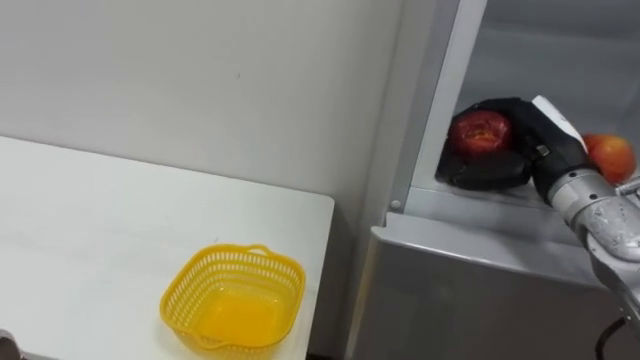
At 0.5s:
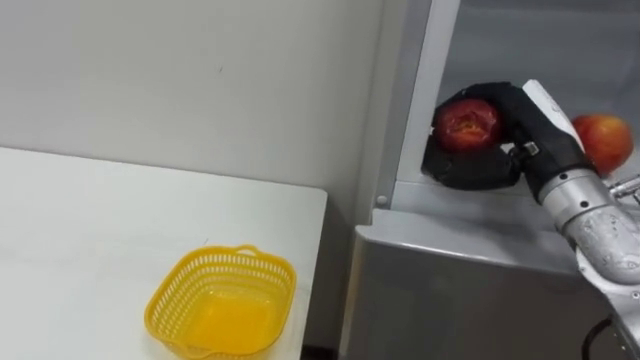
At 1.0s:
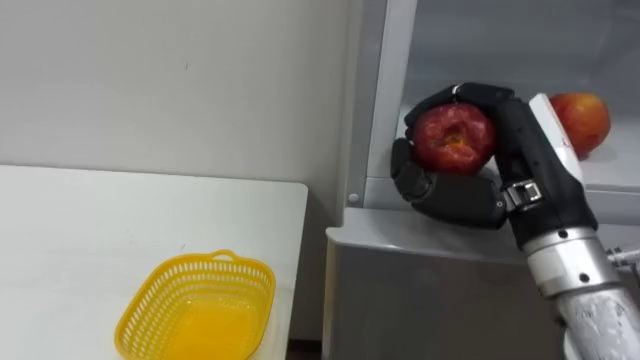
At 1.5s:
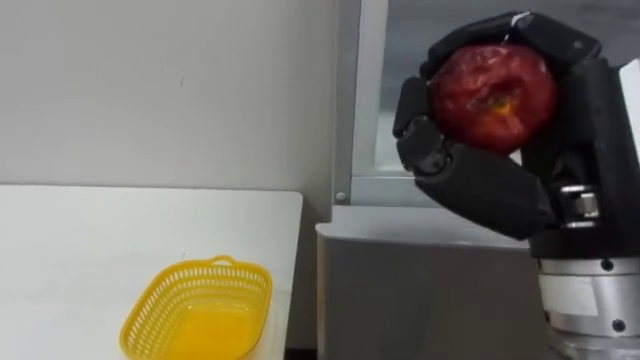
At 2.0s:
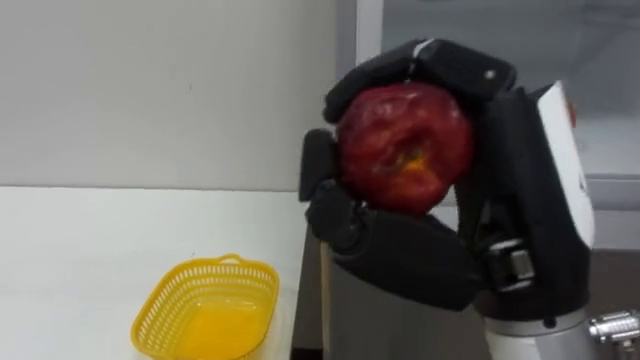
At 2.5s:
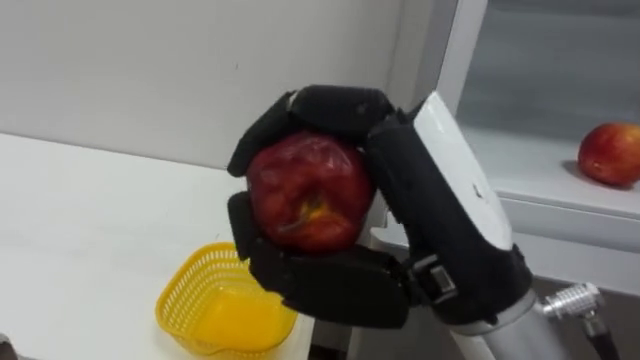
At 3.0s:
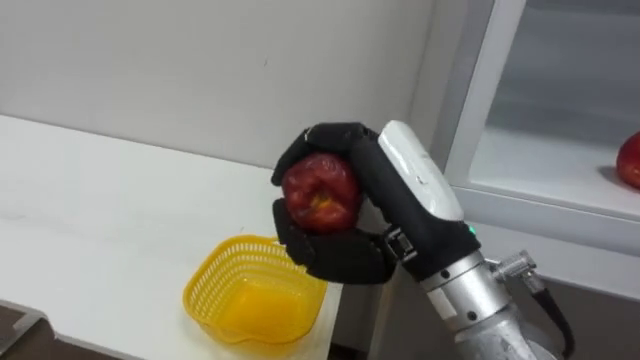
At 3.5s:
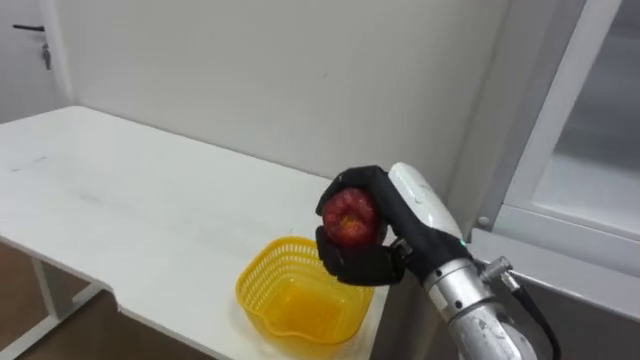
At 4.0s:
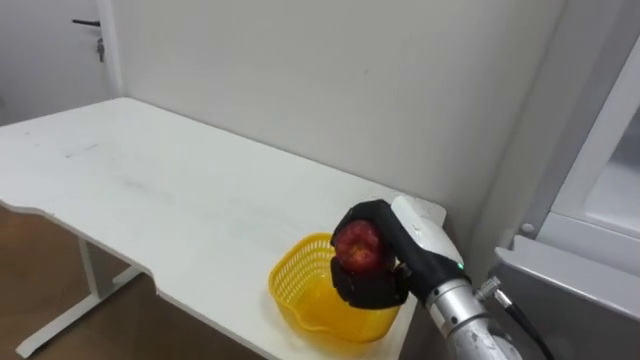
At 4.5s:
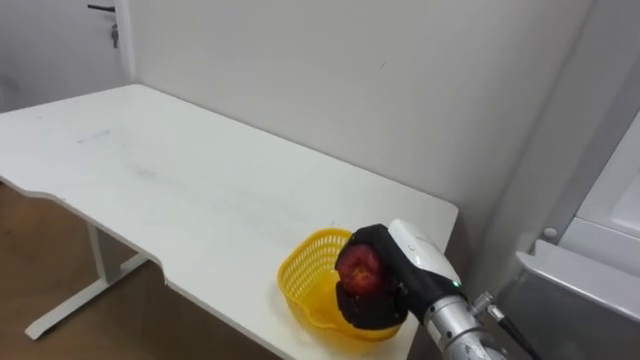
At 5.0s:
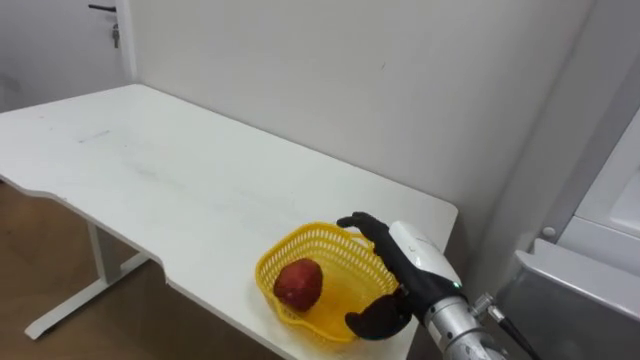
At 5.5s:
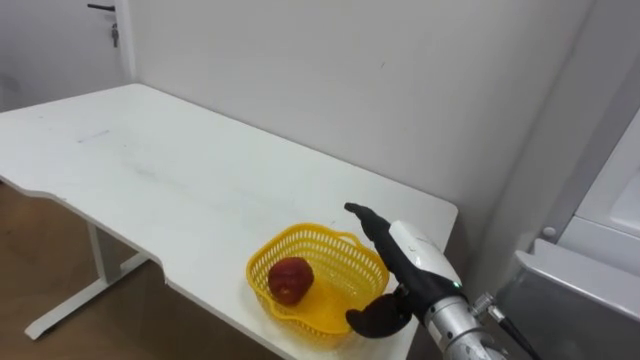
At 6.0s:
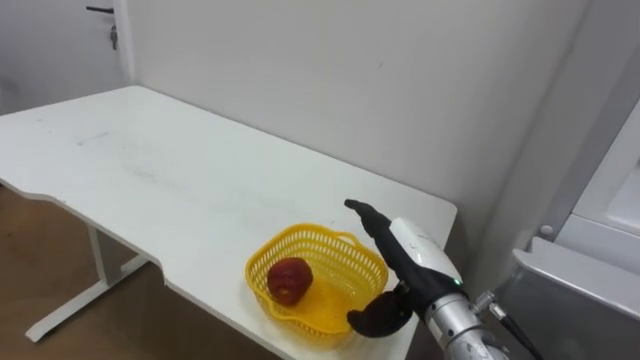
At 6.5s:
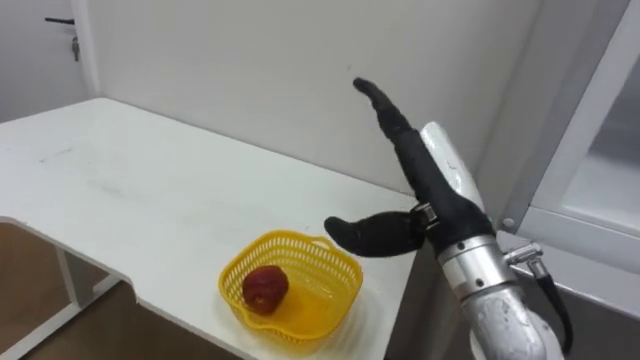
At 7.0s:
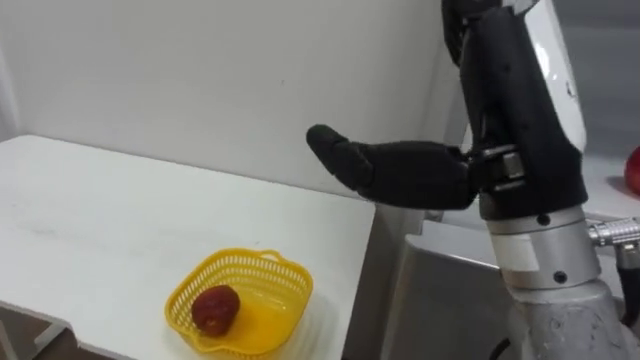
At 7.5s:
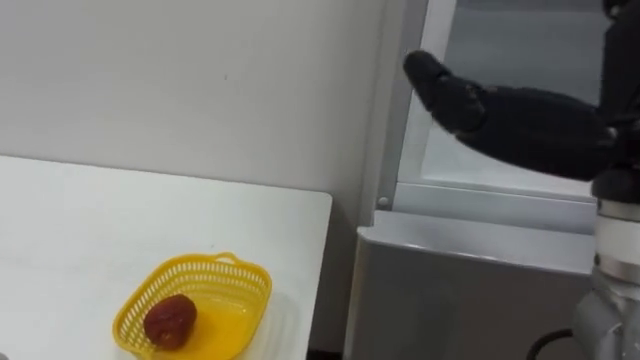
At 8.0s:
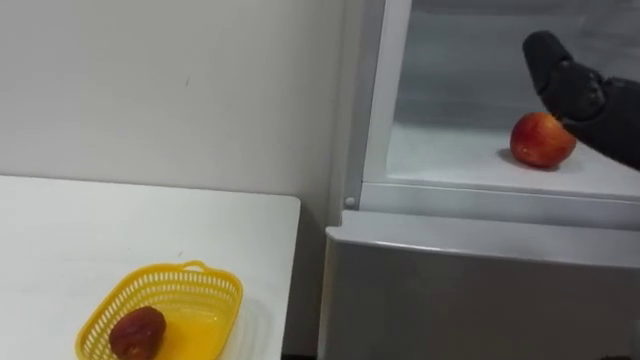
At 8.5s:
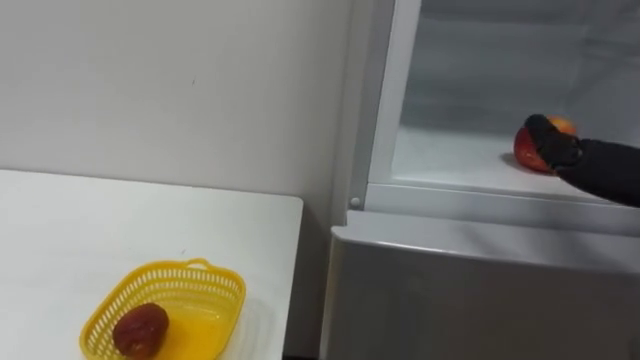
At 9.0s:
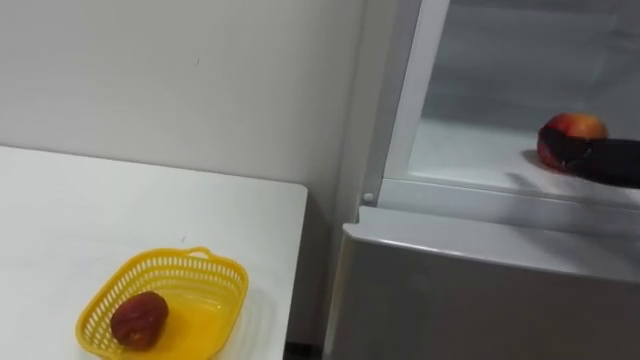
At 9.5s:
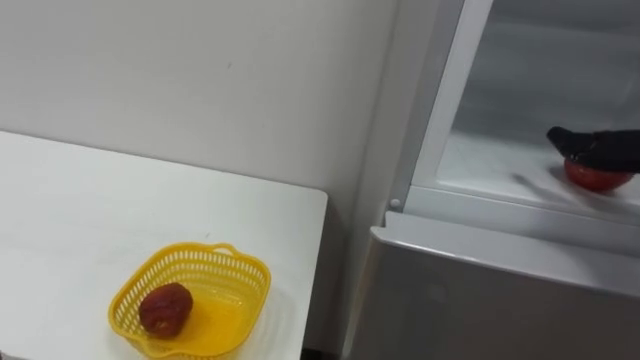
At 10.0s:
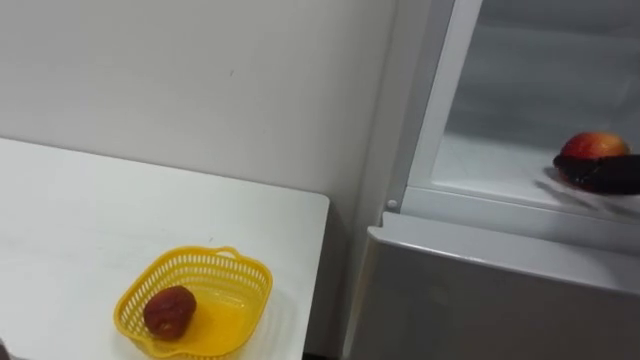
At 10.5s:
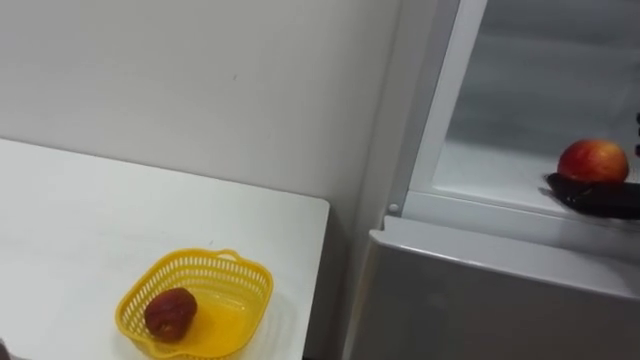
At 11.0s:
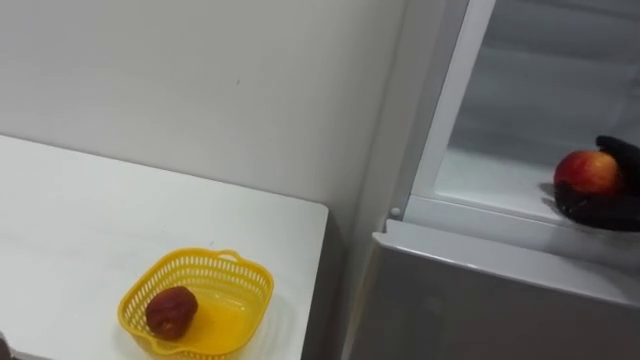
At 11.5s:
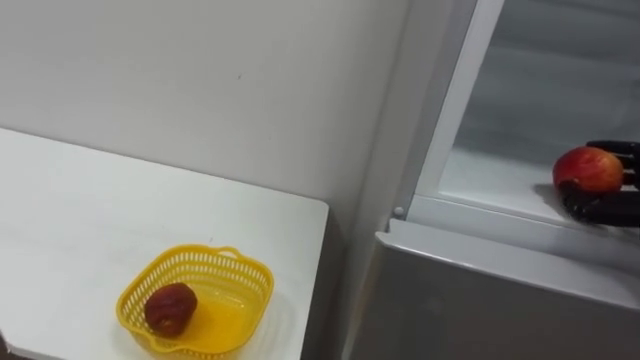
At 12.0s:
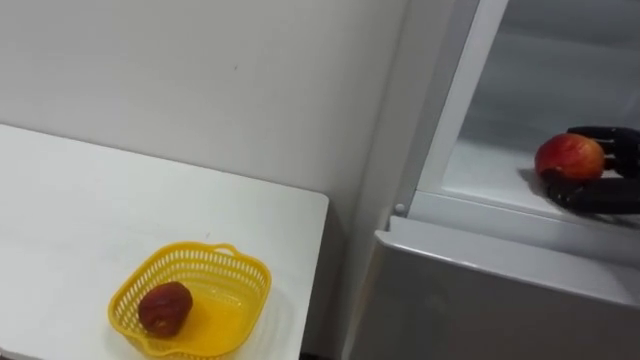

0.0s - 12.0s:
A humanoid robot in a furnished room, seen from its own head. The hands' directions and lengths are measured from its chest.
Task of the whole recording: Open the refrigerator door, take out the apple and the pomegranate, place them in the fruit basket on the left, and close the refrigerator door.
0.0s - 2.0s: The right hand travels backward, to the left and upward by roughly 25 cm.
2.0s - 4.0s: The right hand is displaced downward and forward by about 20 cm.
4.0s - 6.0s: The right hand opens its fingers.

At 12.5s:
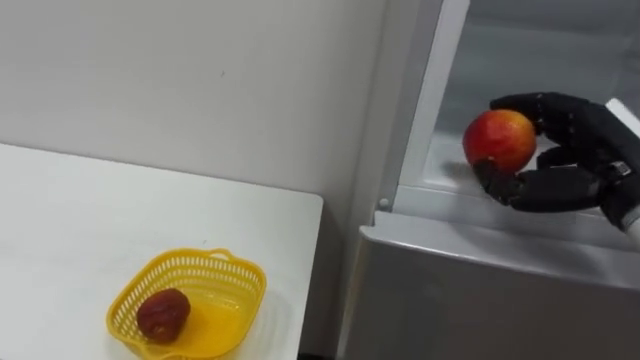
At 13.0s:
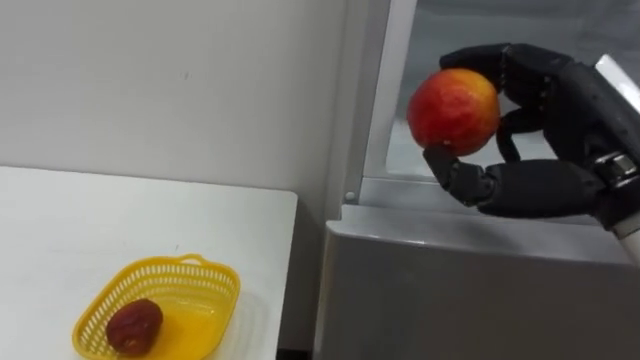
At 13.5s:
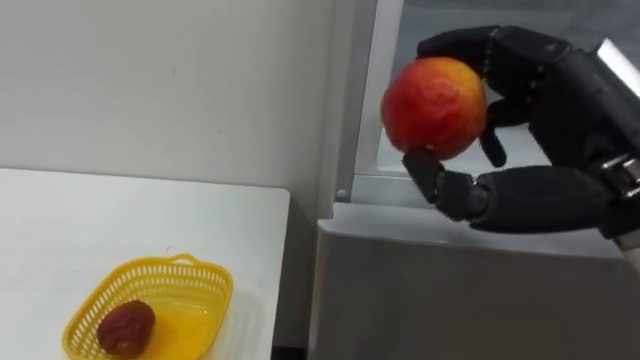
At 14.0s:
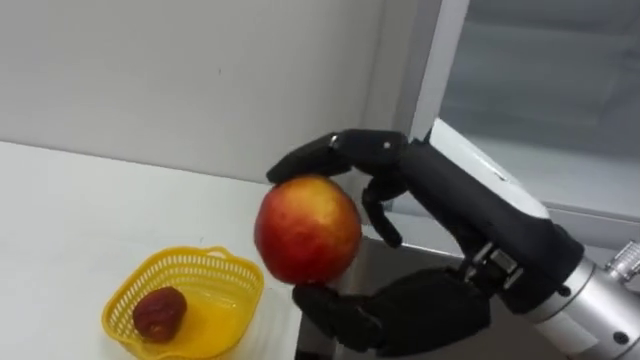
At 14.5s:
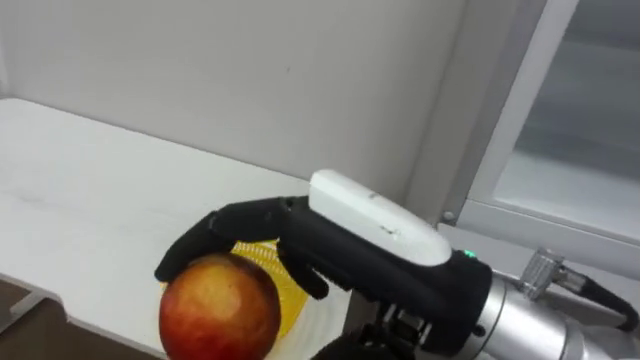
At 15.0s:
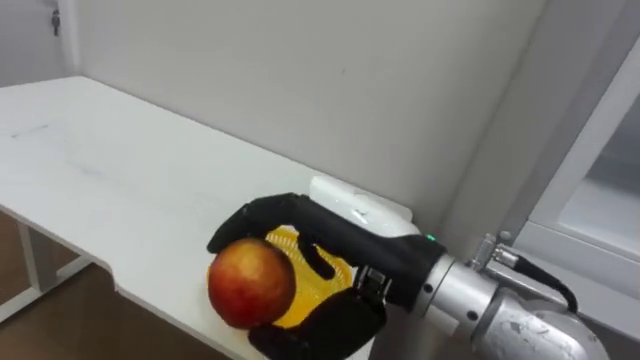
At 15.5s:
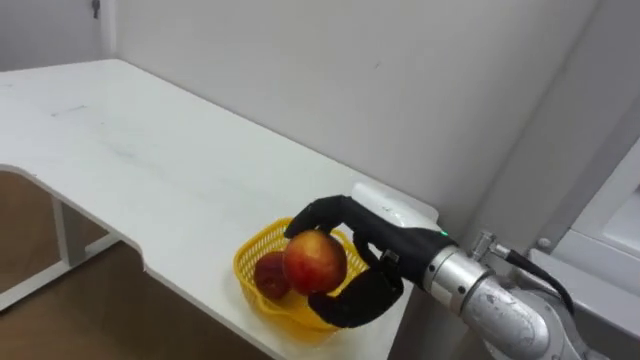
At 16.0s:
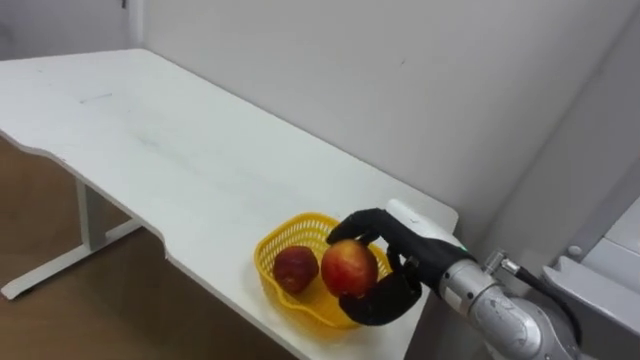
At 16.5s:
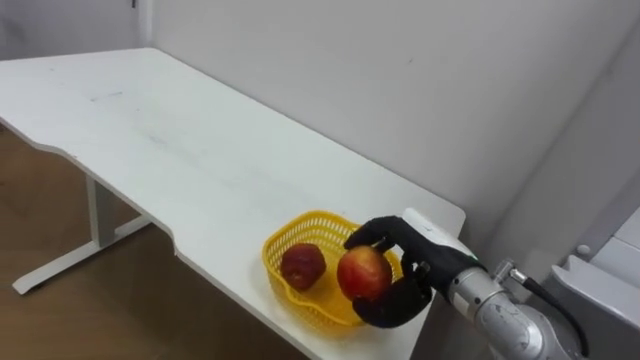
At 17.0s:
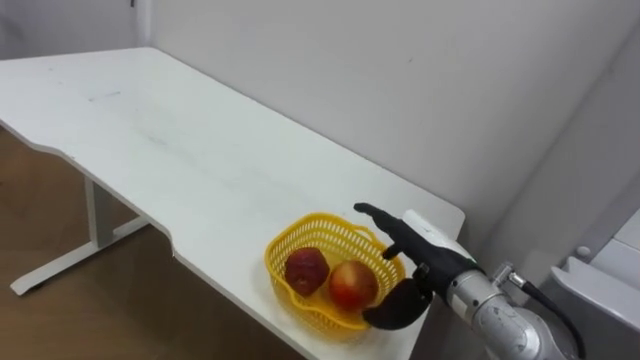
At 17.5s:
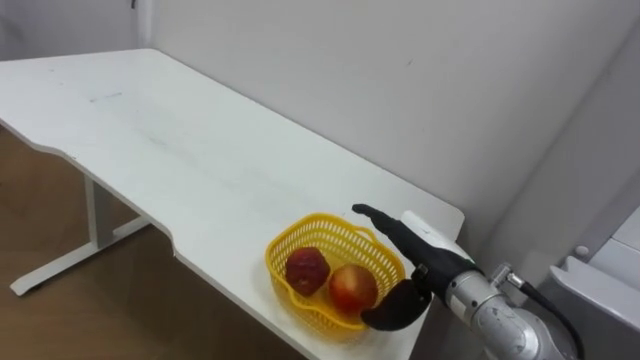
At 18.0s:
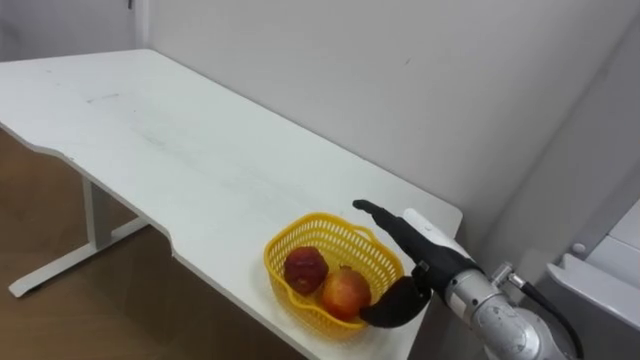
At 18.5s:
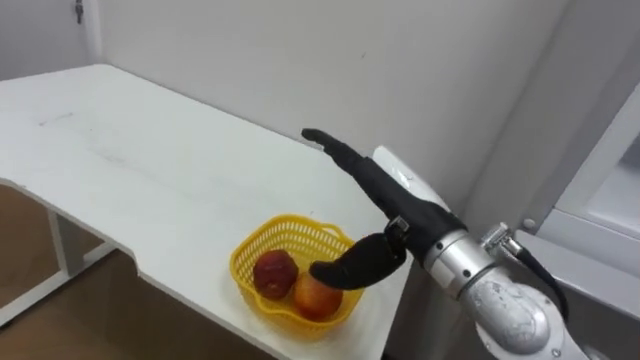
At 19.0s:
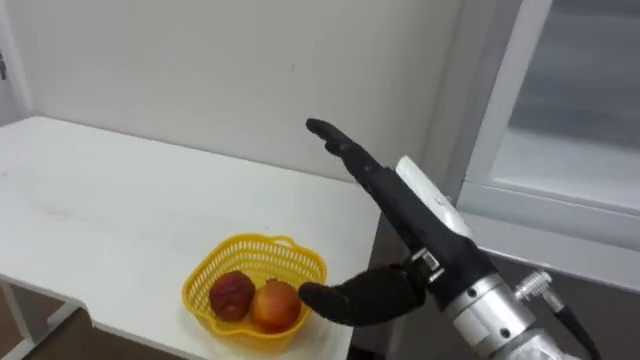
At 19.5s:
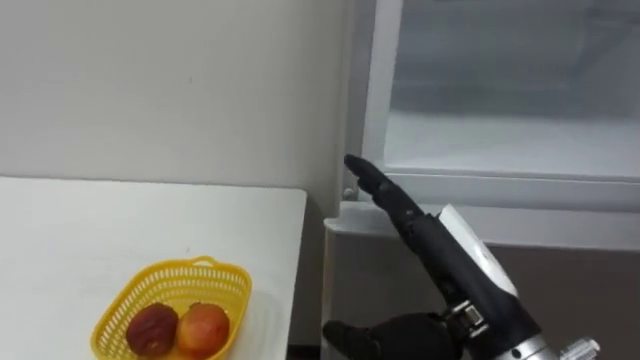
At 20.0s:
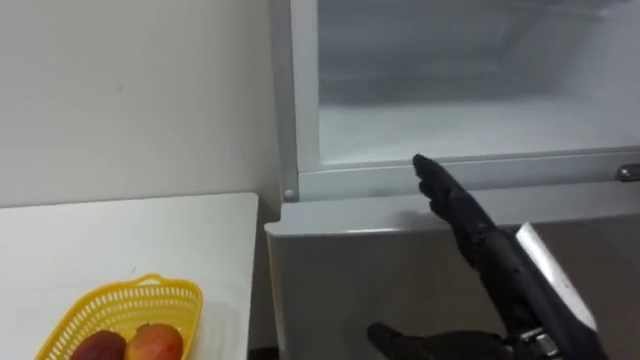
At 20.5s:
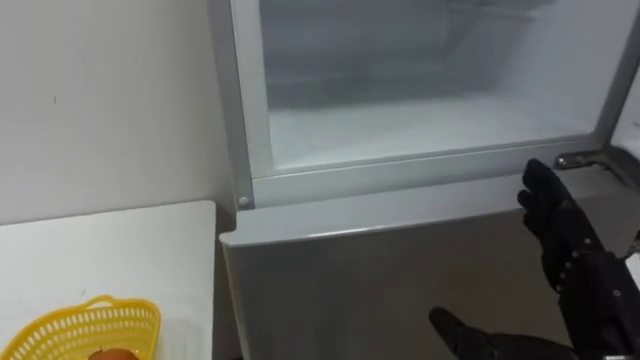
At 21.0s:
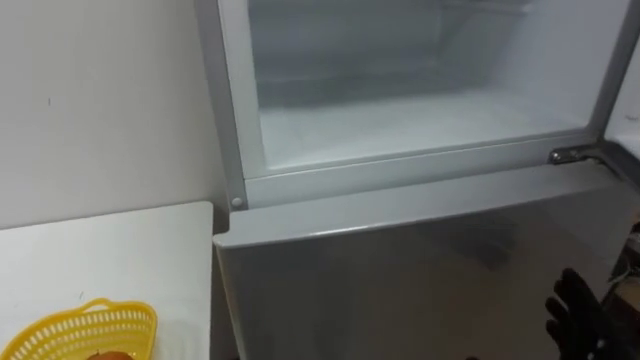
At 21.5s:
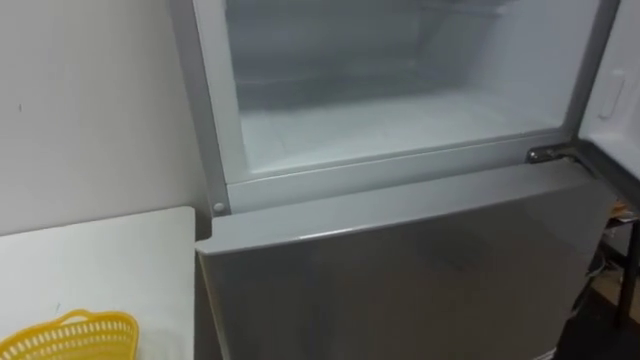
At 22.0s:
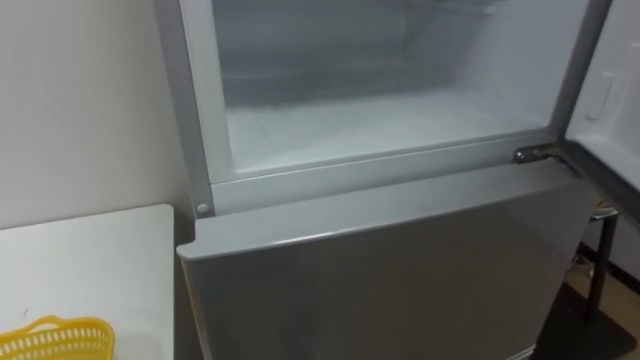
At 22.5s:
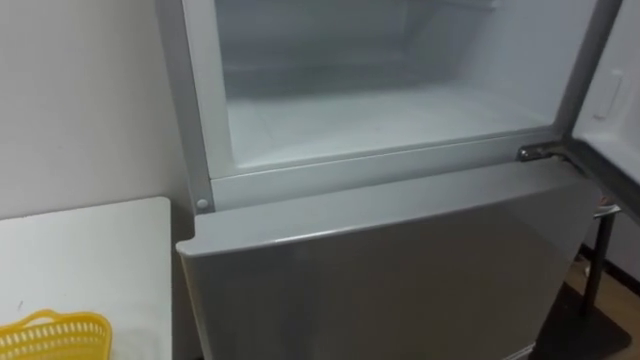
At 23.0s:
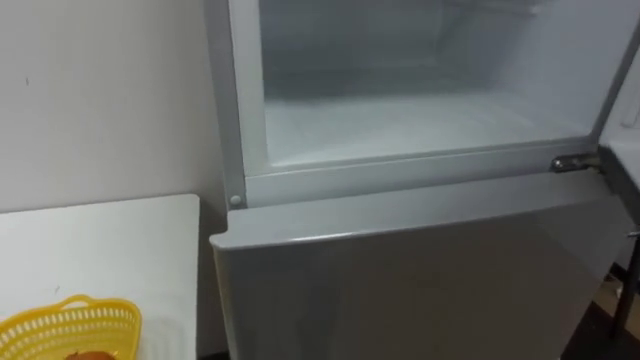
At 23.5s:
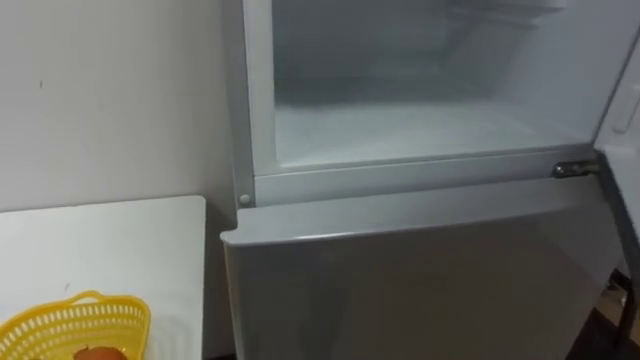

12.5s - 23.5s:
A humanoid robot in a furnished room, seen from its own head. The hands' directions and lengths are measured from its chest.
Task of the whole recording: Open the refrigerator door, take out the apple and the pomegranate, place them in the fruit basket on the left, and close the refrigerator door.
12.5s - 14.5s: The right hand goes approximately 30 cm to the left and backward.
14.5s - 16.0s: The right hand goes approximately 20 cm forward and downward.
16.0s - 18.0s: The right hand opens up.
18.0s - 20.0s: The right hand travels backward and upward by some 15 cm.
